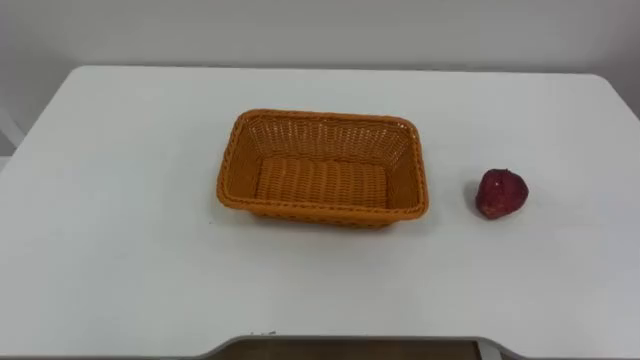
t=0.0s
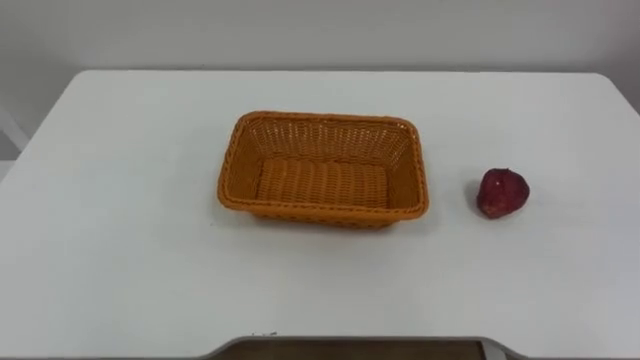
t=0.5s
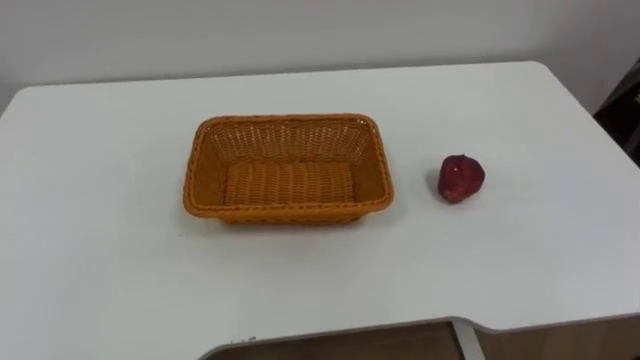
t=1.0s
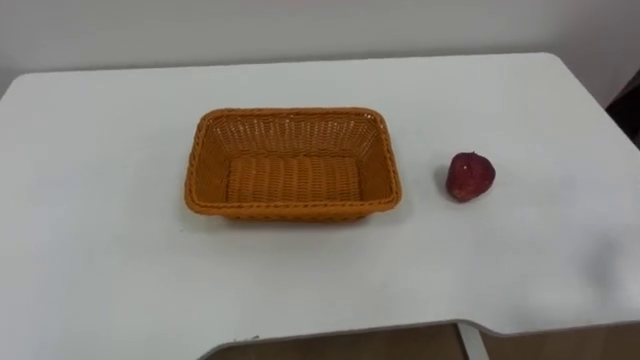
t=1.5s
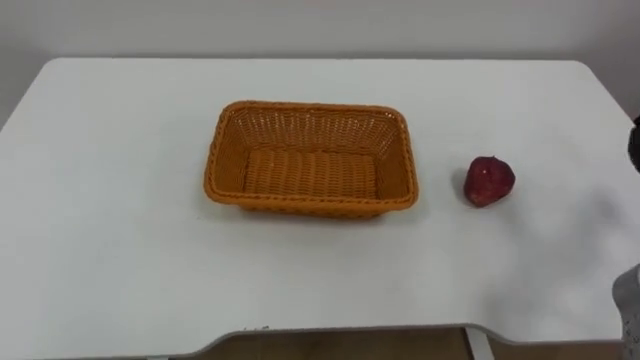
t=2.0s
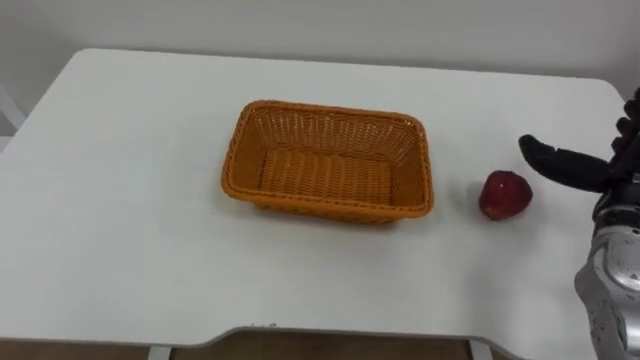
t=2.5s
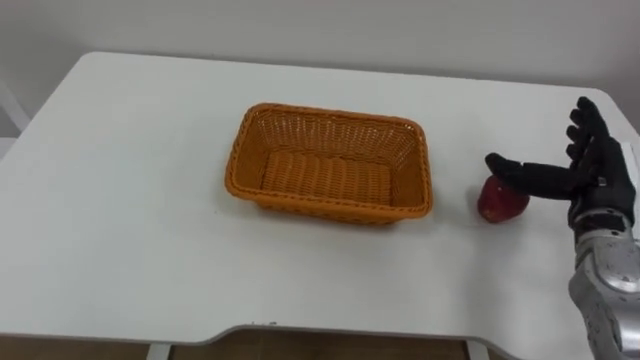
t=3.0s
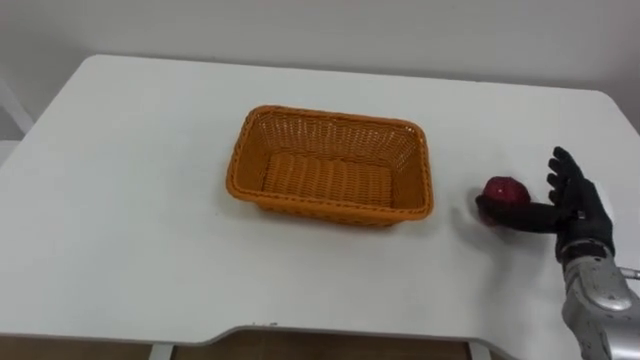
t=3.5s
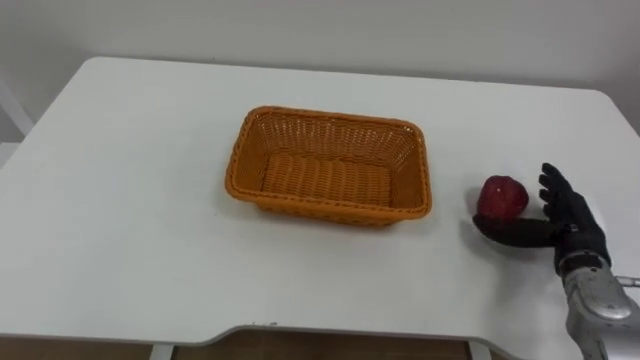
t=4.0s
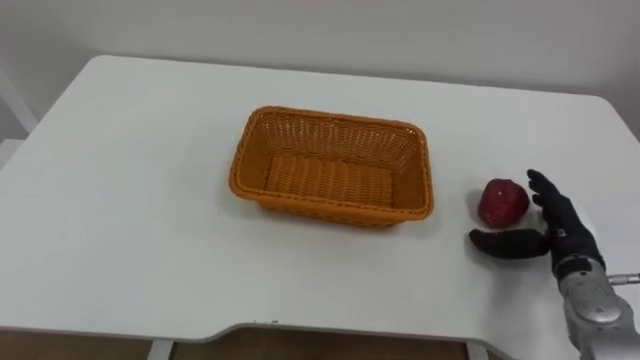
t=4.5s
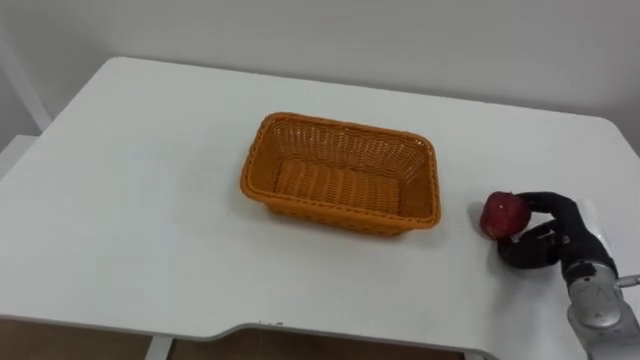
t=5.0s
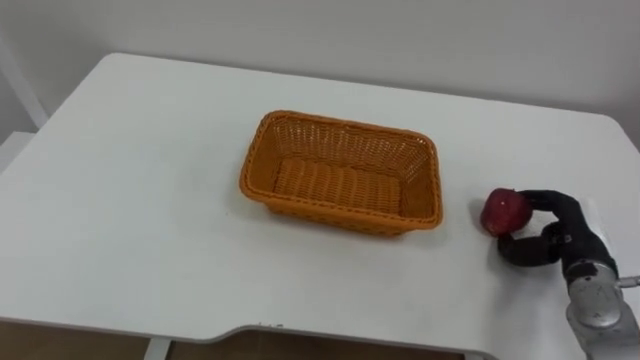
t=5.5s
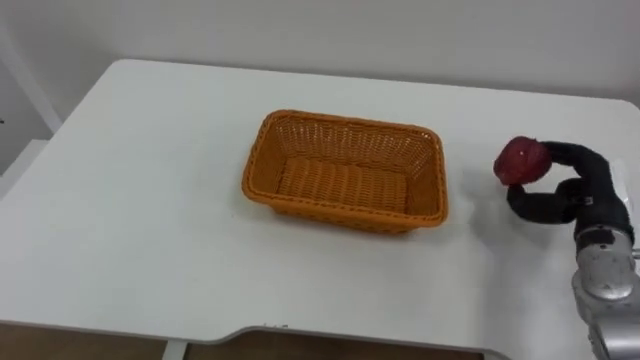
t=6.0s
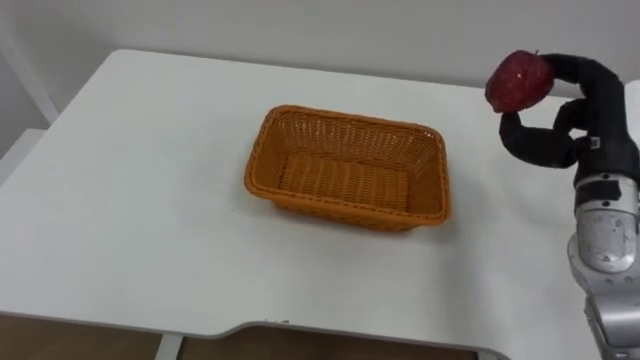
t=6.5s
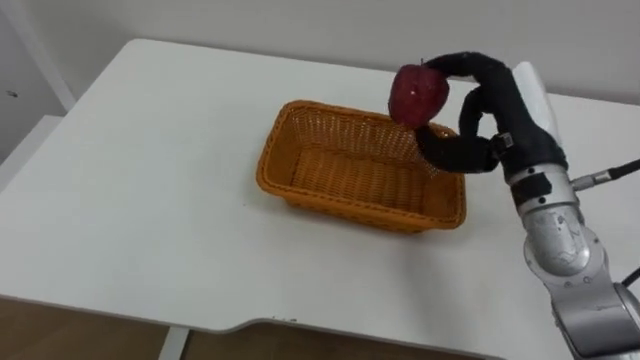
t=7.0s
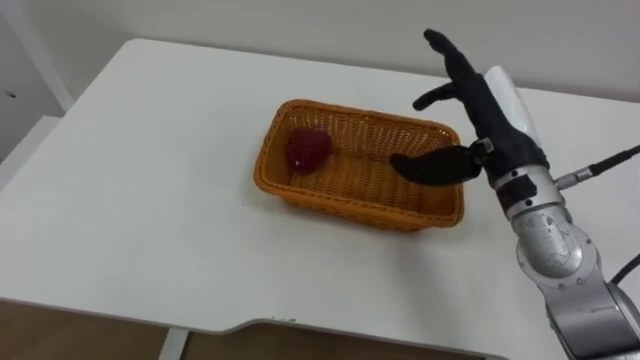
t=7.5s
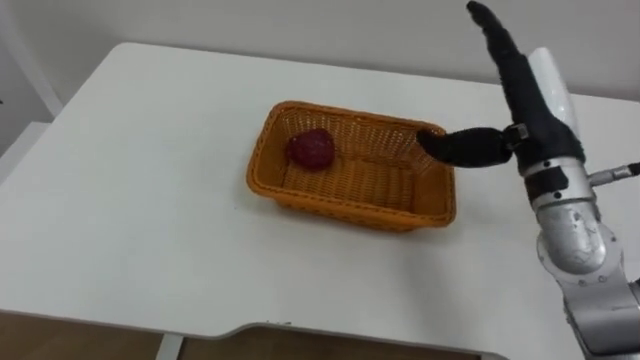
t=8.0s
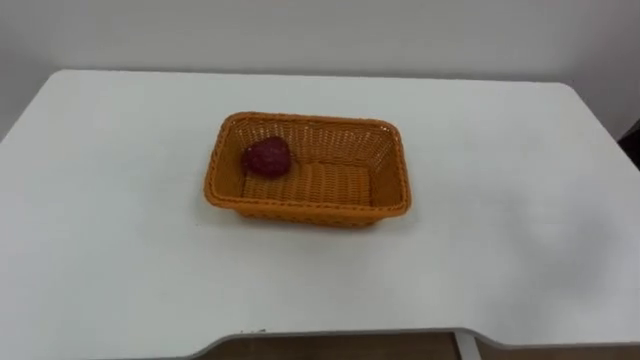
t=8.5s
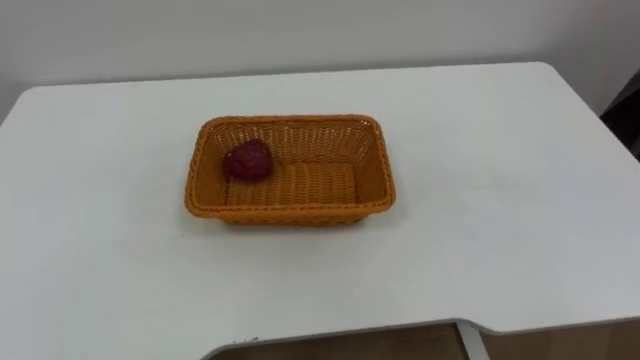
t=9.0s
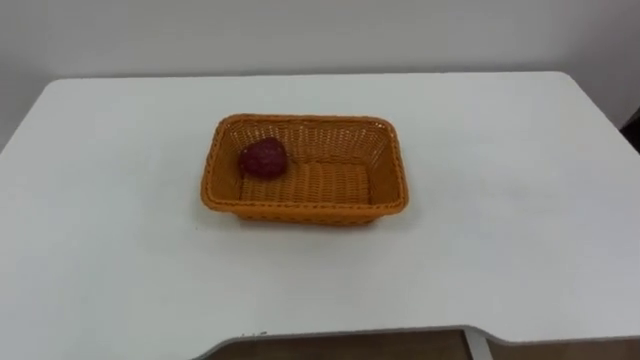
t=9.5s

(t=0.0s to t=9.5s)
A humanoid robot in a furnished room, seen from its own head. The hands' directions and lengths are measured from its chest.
Task of the whole recording: Pick the apple and place it in the box.
t=4.0s - t=5.5s: The right hand closes up.
t=5.5s - t=7.5s: The right hand goes about 25 cm upward and to the left, and opens.

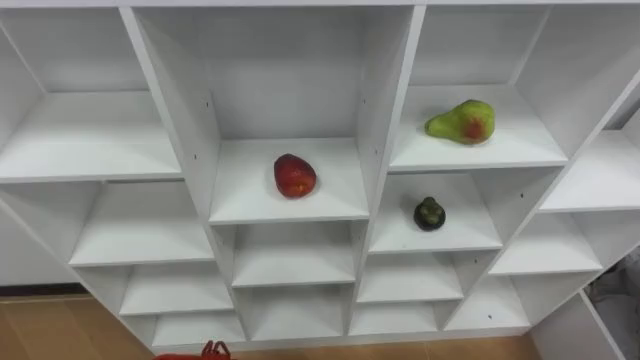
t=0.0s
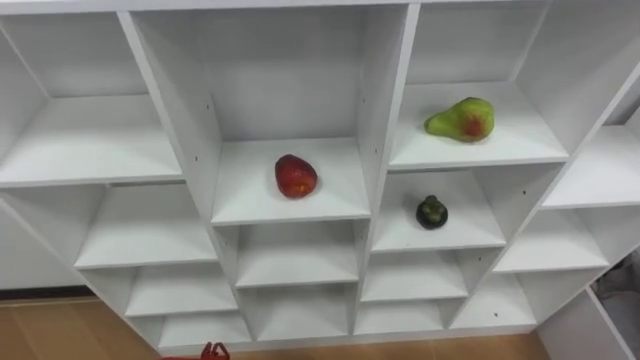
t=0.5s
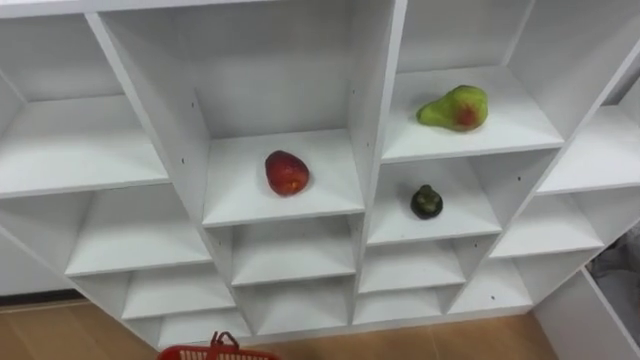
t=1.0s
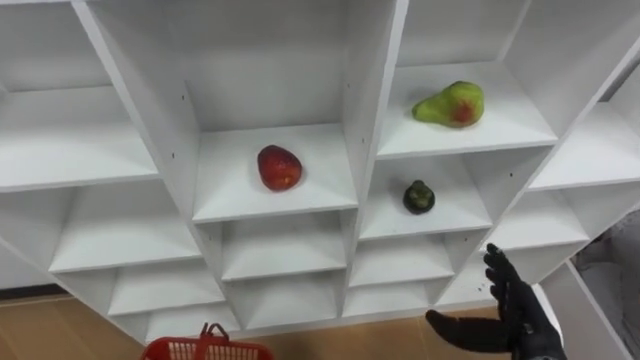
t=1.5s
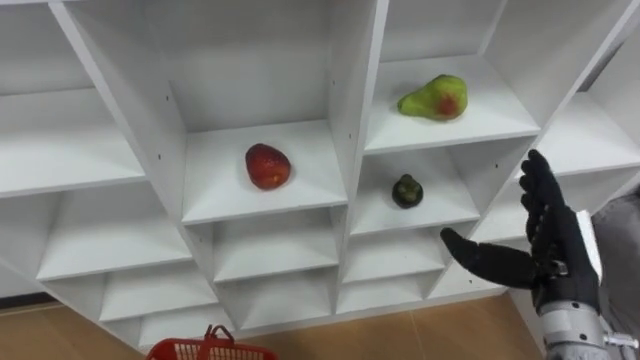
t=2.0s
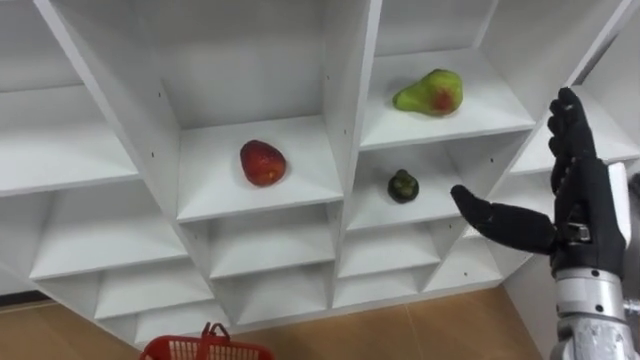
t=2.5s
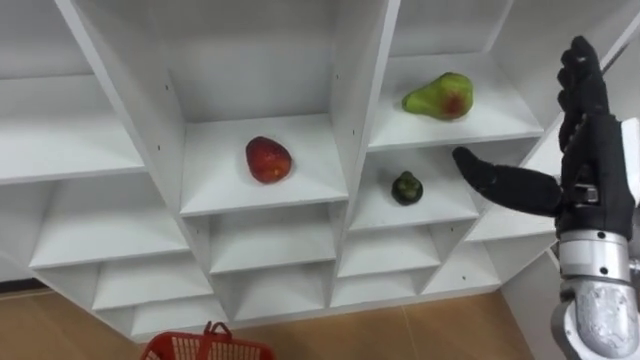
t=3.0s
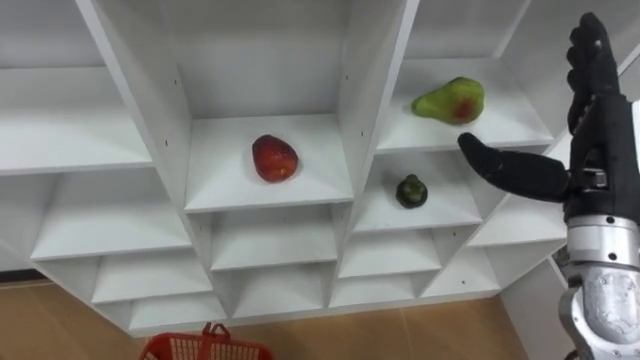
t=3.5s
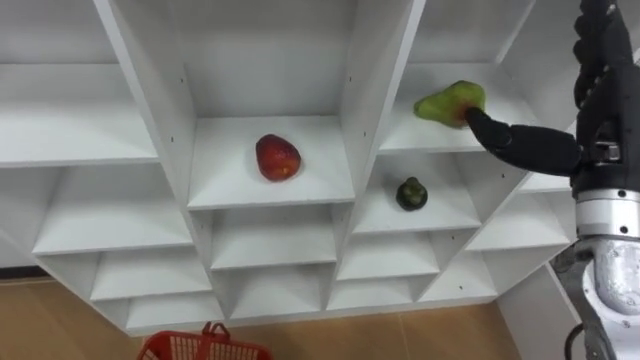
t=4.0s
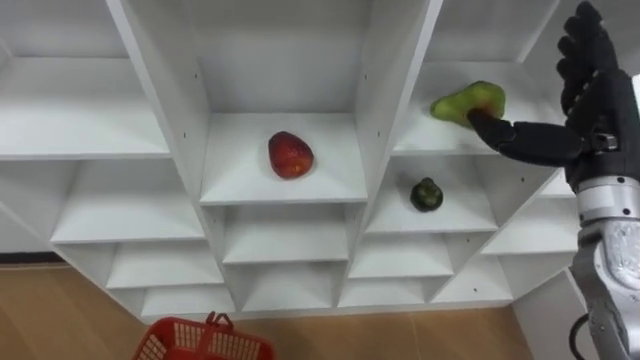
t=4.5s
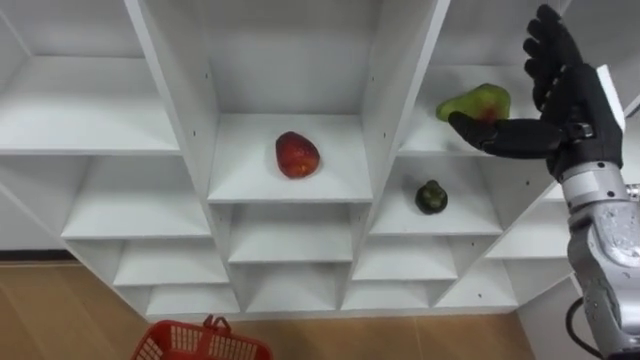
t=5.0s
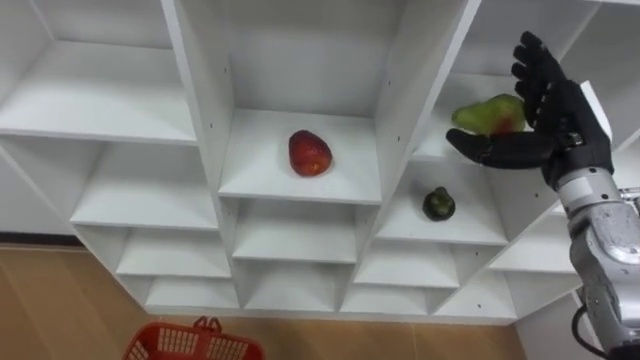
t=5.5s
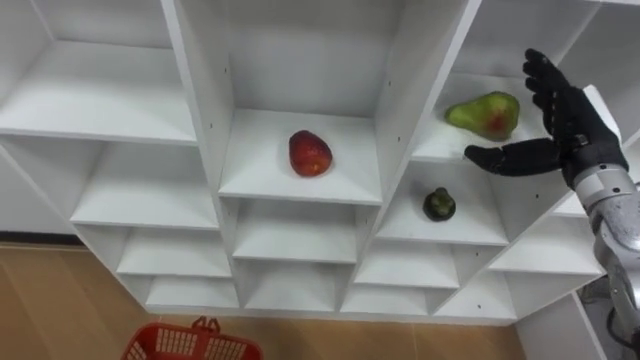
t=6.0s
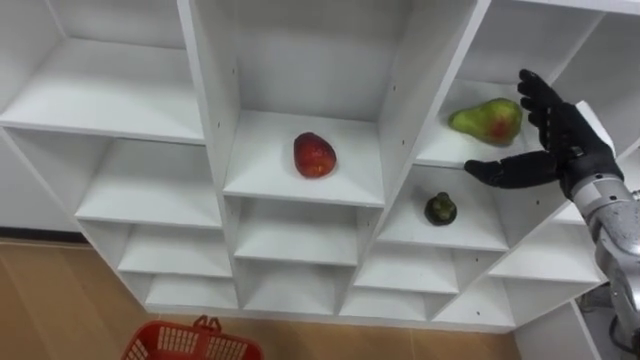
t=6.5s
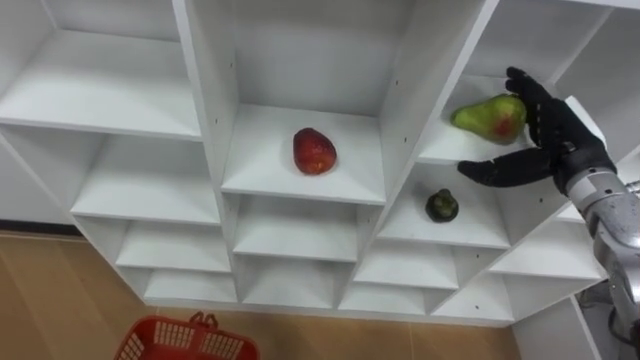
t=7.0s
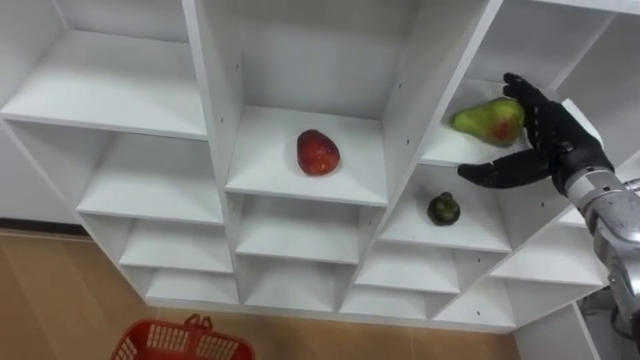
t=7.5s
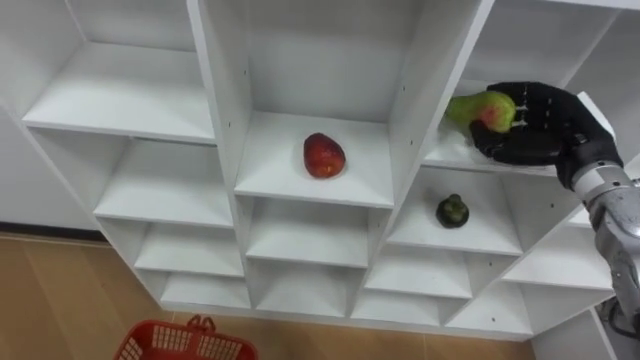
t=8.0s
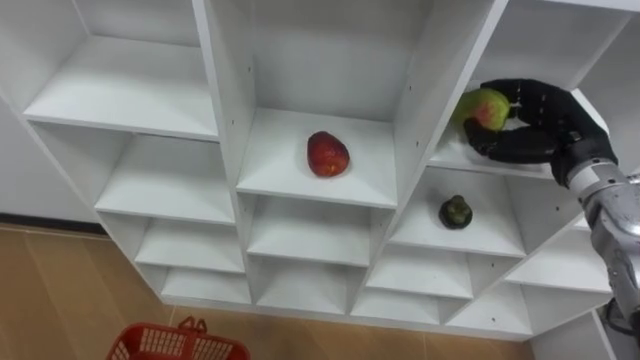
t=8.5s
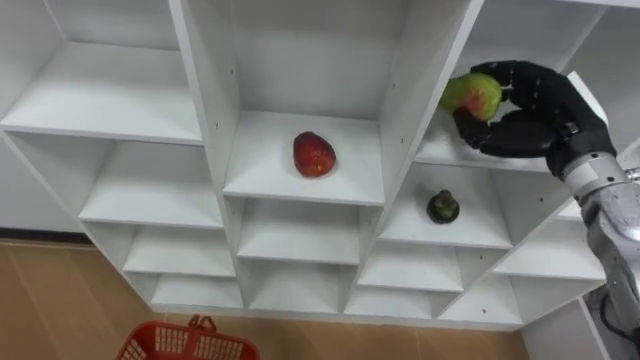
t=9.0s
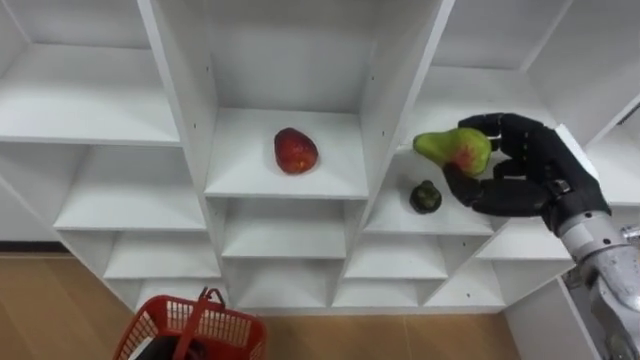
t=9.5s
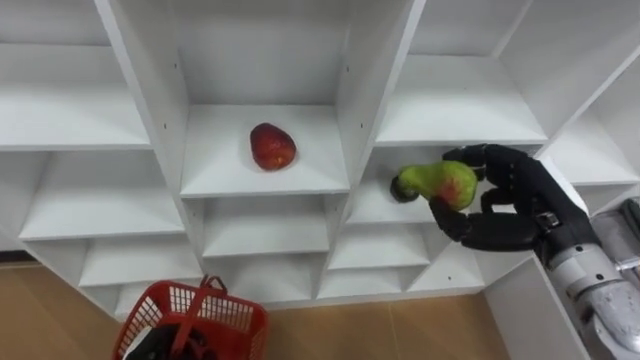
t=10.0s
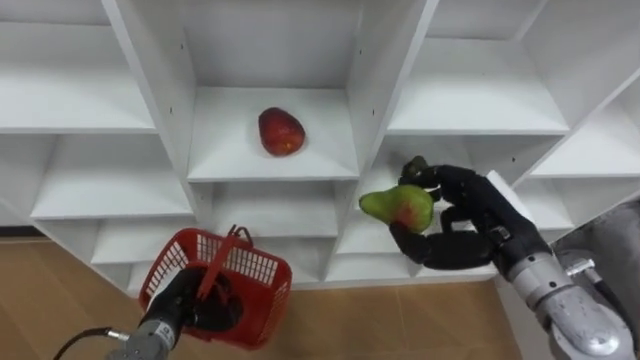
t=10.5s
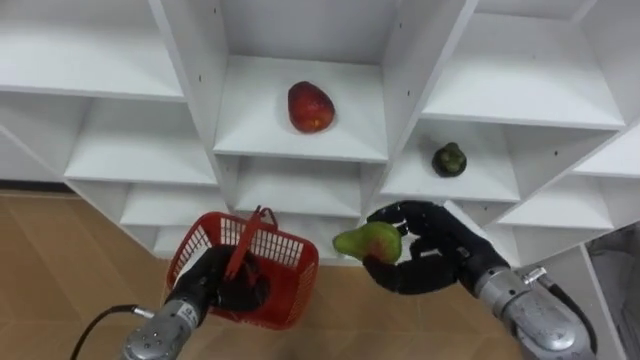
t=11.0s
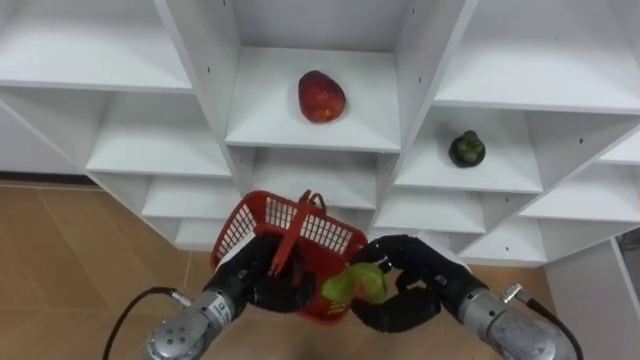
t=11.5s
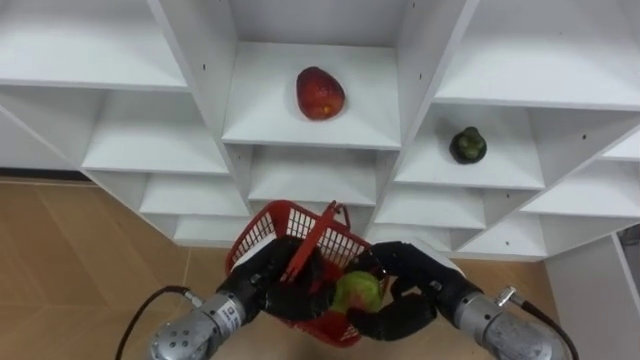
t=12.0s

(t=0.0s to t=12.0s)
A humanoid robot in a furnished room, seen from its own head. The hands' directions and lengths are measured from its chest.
Task of the whole recording: Hold the basket and collect the fruits from 3 different cells of the closet into it.
t=2.0s - t=4.0s: The right hand travels upward and forward by roughly 15 cm.
t=4.0s - t=6.0s: The right hand heads downward and forward, covering about 10 cm.
t=6.0s - t=8.0s: The right hand closes its fingers.
t=8.0s - t=10.0s: The right hand travels backward by roughly 10 cm.
t=10.0s - t=12.0s: The left hand travels to the right, upward and forward by about 20 cm. The right hand shifts about 15 cm to the left and downward.
